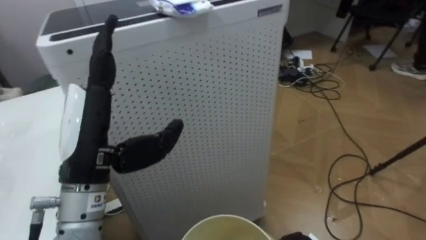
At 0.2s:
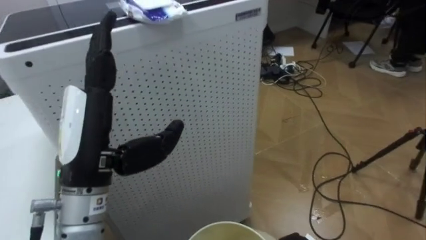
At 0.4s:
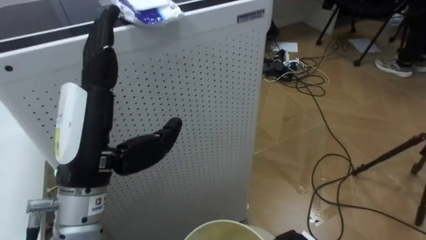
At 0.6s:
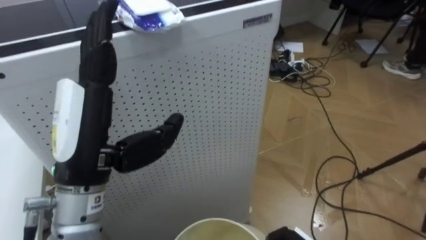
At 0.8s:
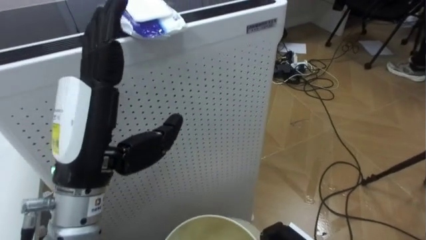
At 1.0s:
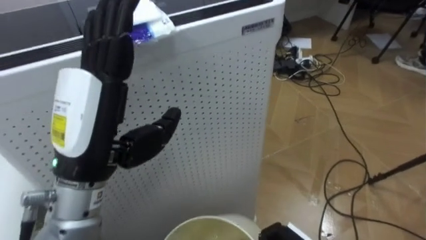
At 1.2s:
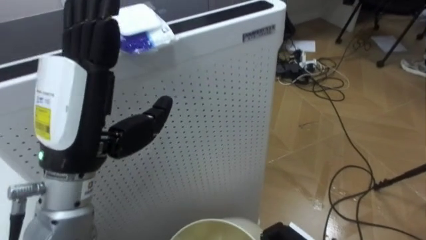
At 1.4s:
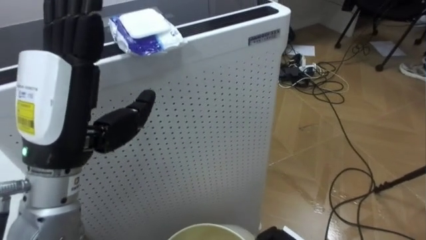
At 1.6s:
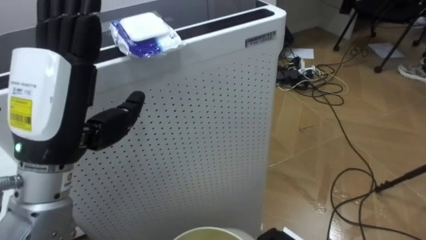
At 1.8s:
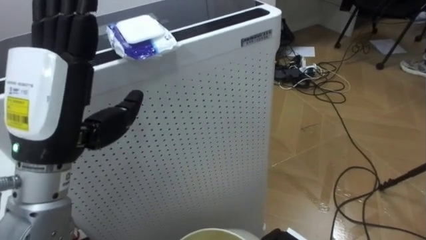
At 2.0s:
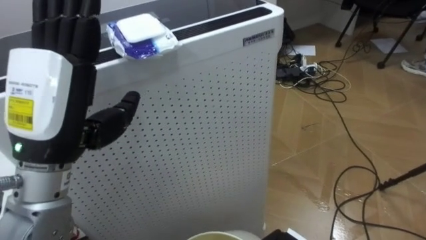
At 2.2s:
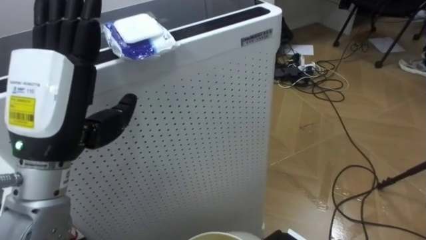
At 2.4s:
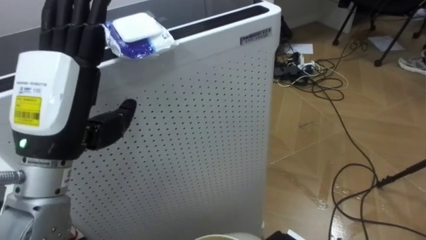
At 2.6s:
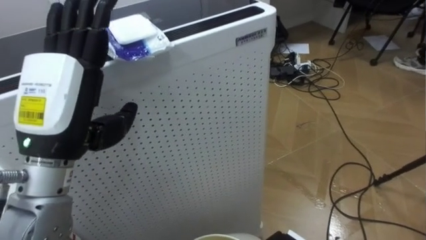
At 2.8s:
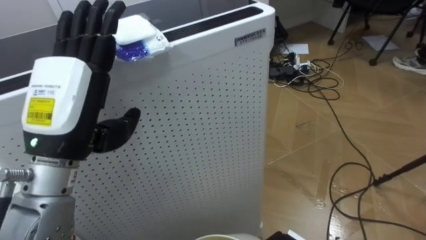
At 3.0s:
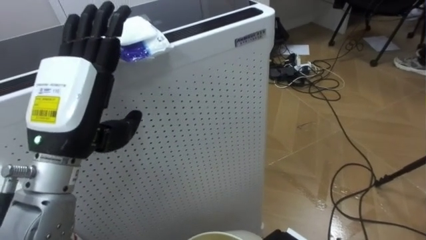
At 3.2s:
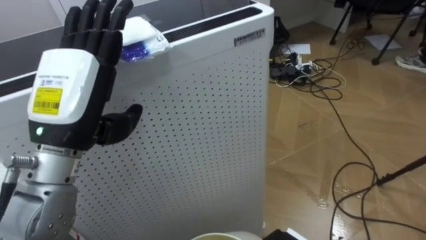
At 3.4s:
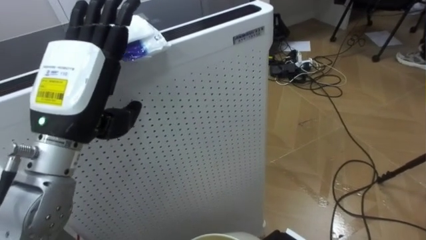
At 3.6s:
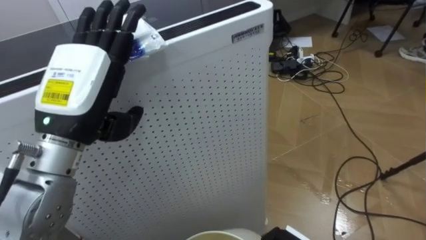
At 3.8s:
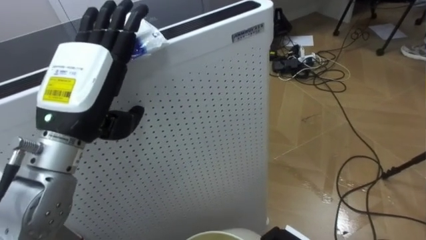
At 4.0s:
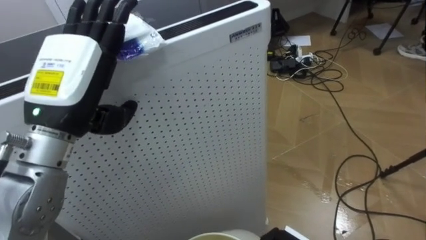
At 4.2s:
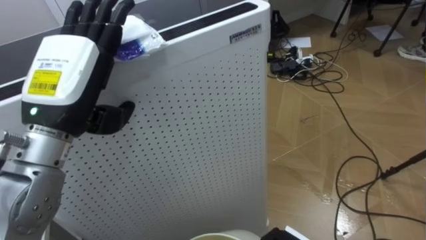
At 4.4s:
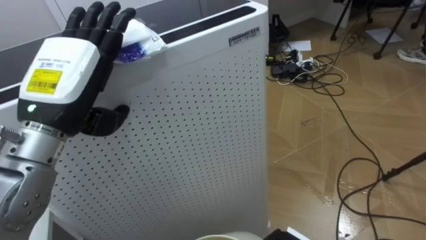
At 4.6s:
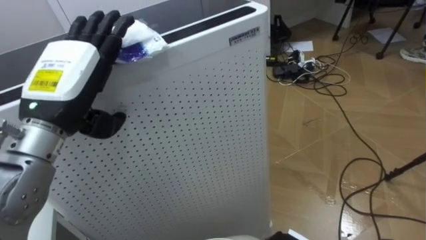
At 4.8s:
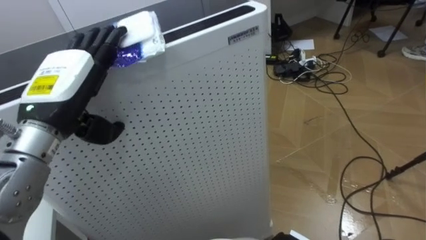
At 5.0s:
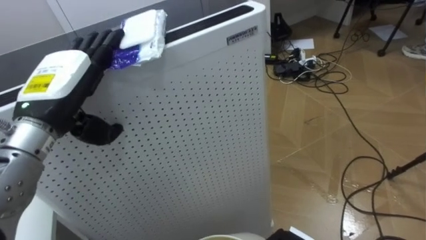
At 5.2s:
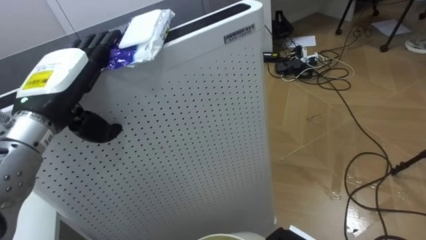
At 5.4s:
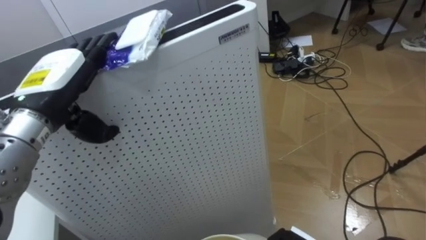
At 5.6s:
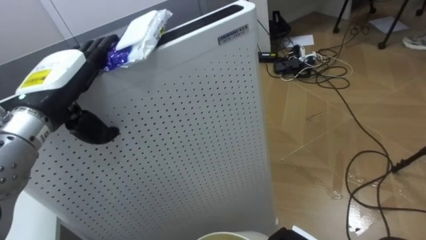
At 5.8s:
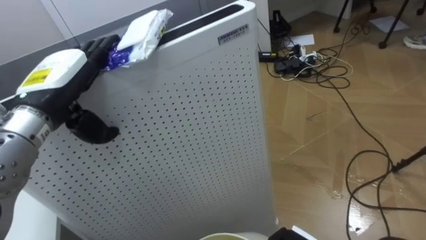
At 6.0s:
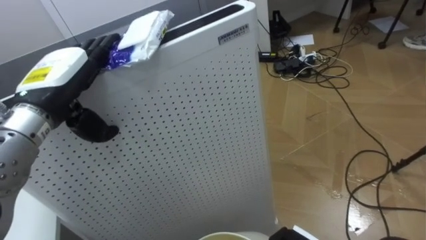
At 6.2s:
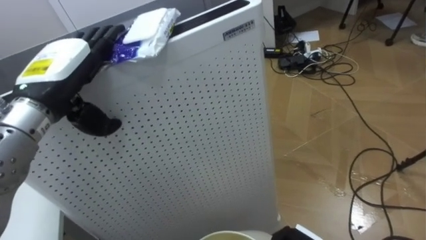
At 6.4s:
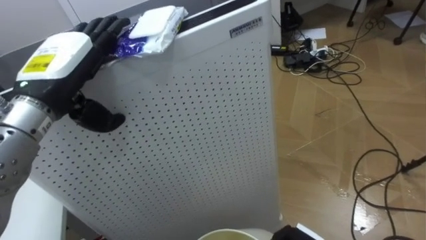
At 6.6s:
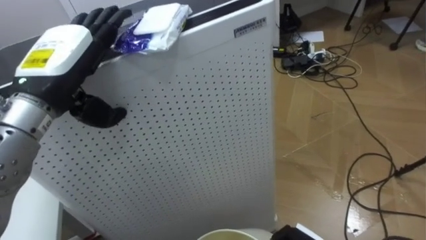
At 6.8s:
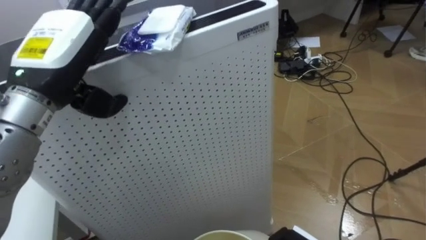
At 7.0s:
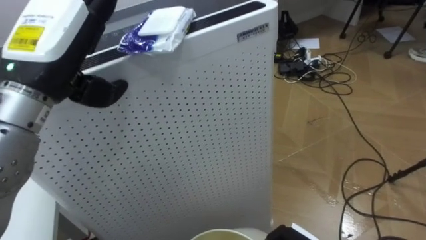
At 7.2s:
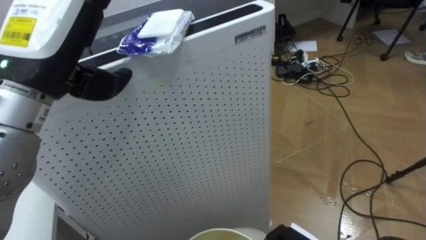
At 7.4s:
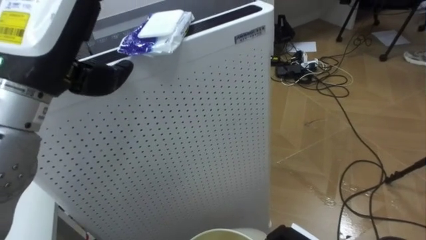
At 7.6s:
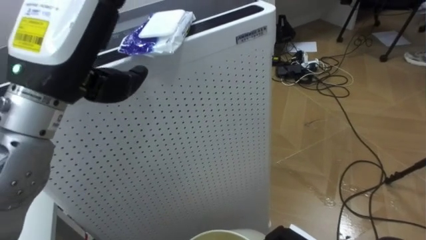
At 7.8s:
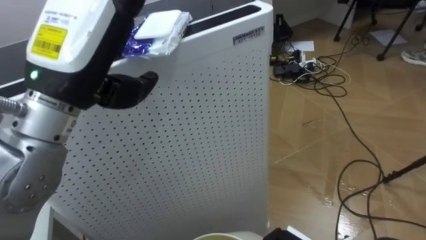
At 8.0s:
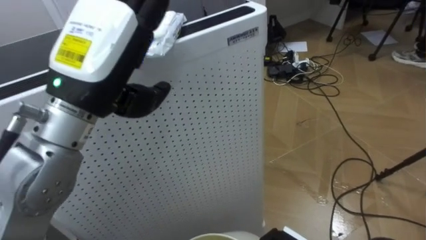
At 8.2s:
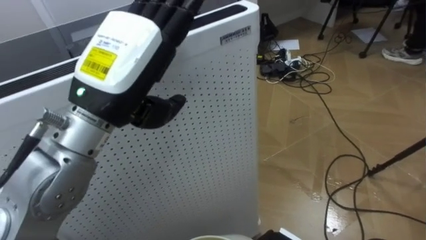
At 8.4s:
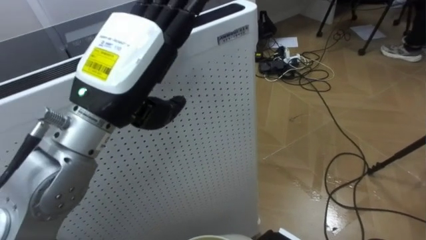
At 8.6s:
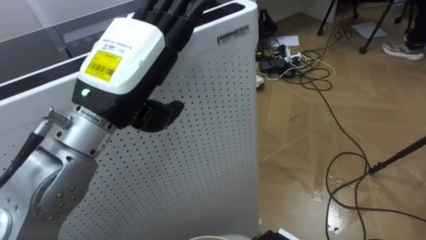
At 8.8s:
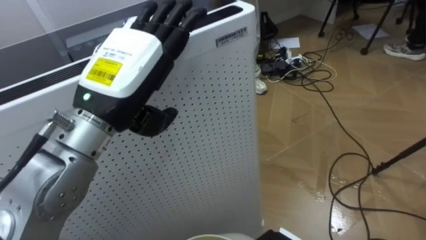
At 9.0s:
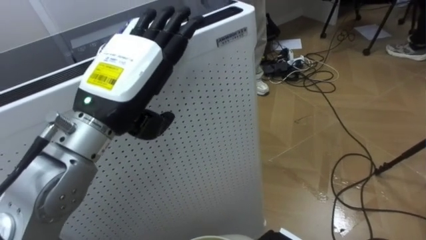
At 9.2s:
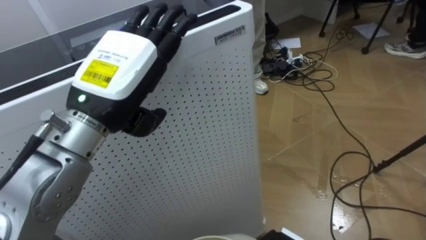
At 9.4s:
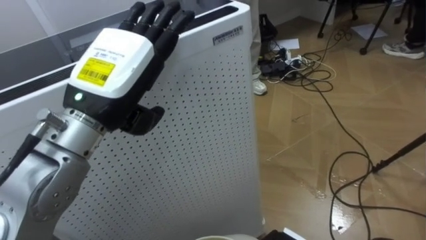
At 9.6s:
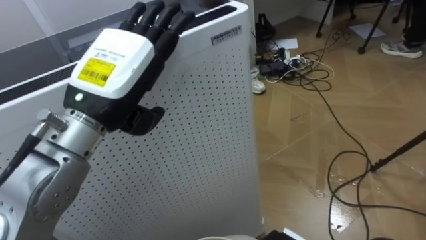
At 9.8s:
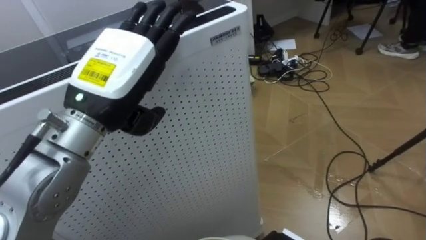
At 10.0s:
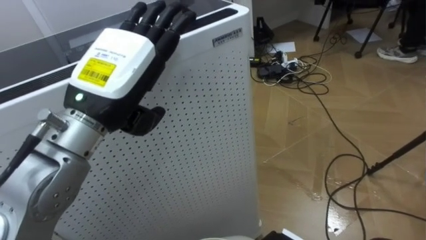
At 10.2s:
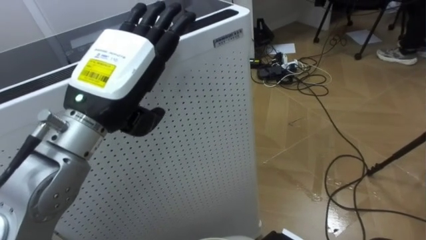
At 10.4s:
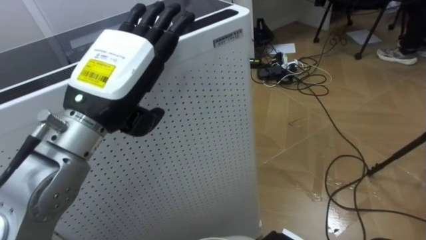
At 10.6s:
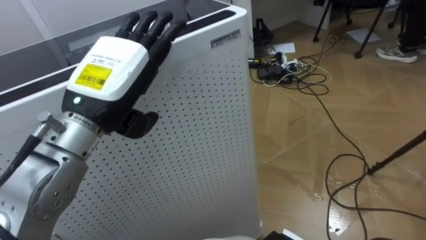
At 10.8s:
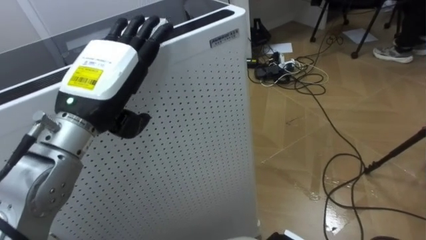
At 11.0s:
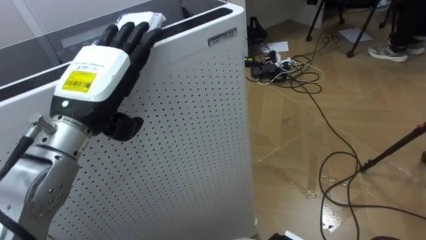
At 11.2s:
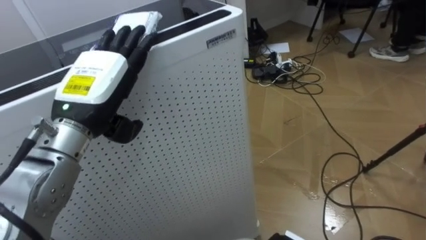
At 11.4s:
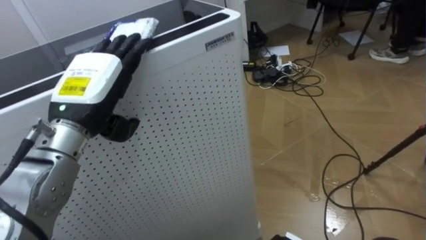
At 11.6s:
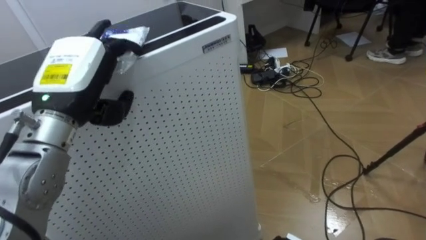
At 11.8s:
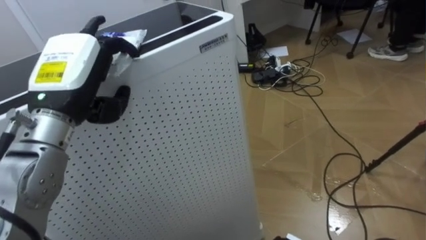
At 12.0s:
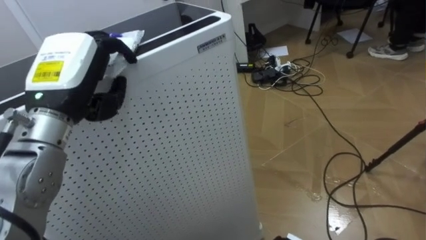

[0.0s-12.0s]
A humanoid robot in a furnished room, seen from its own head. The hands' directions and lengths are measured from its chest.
Task of the whole recording: Pick up the light blue package, the candy box, and the dark blue package separately, and put them into the trash can held in your right hand.
0.0s to 1.6s: The left hand travels upward by approximately 5 cm.
4.4s to 6.0s: The left hand shifts by some 5 cm.
6.0s to 7.6s: The left hand heads upward, to the right and backward, covering about 15 cm.
7.6s to 9.0s: The left hand moves downward, some 5 cm.
10.4s to 12.0s: The left hand is displaced to the left by about 5 cm, and closes.

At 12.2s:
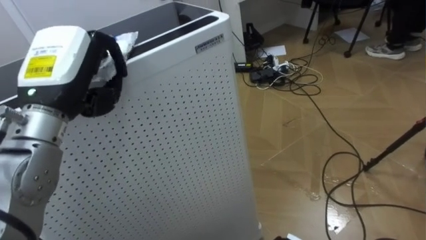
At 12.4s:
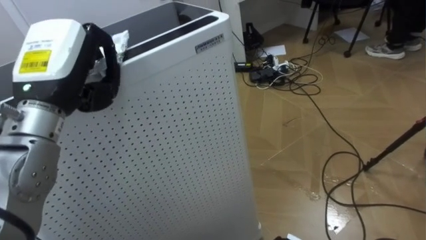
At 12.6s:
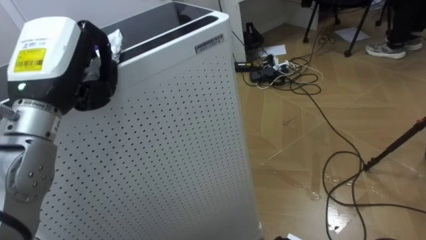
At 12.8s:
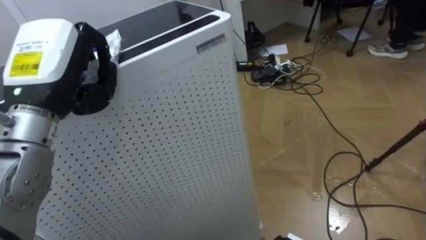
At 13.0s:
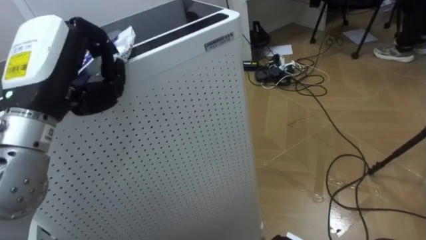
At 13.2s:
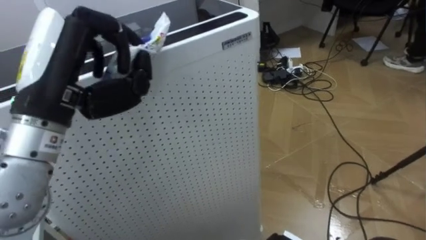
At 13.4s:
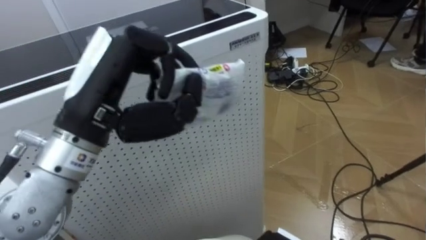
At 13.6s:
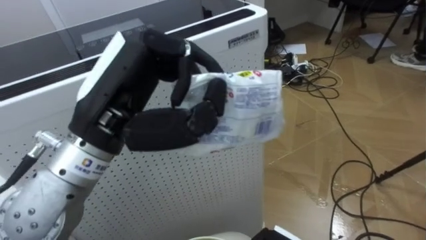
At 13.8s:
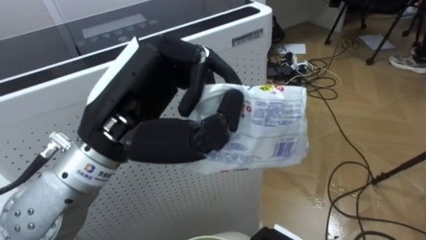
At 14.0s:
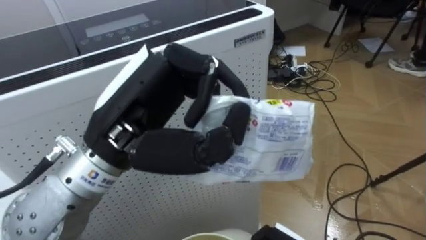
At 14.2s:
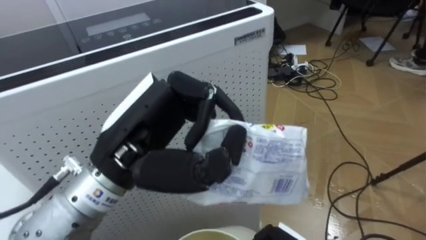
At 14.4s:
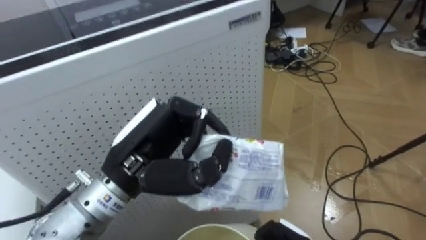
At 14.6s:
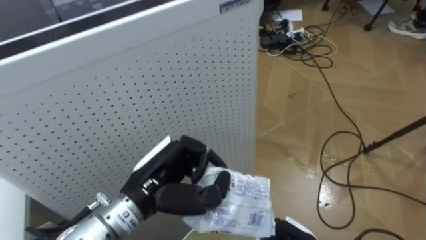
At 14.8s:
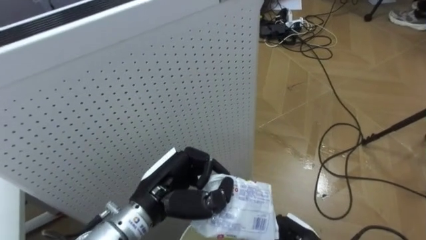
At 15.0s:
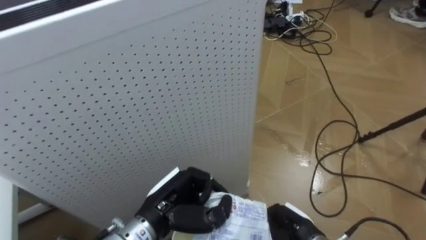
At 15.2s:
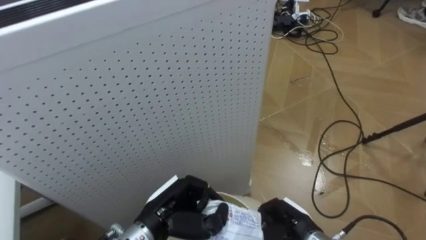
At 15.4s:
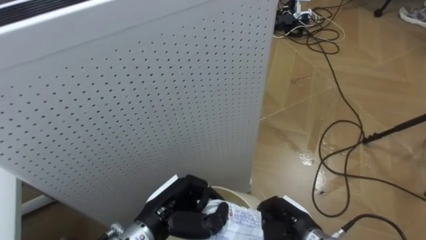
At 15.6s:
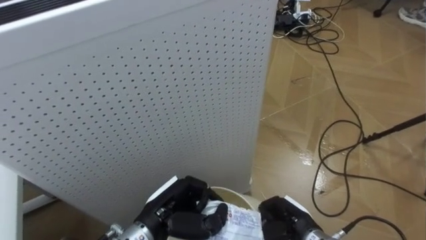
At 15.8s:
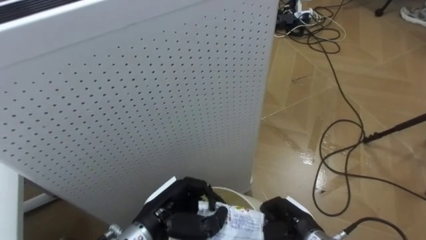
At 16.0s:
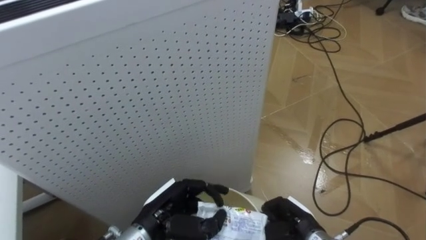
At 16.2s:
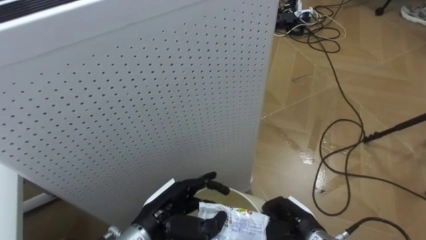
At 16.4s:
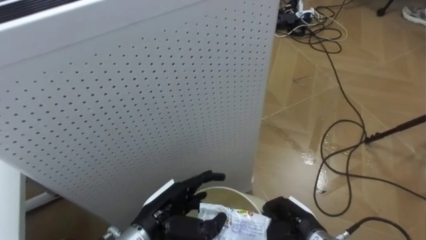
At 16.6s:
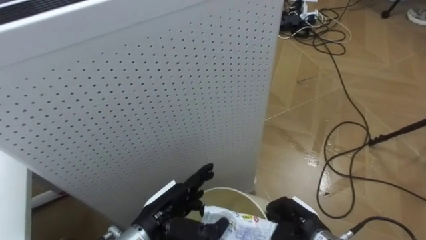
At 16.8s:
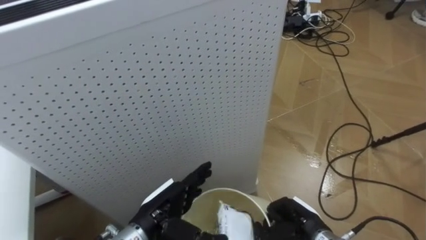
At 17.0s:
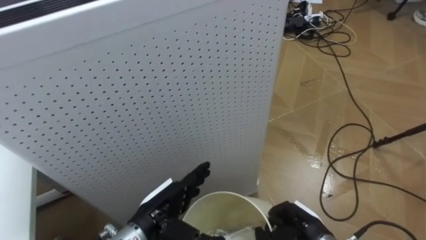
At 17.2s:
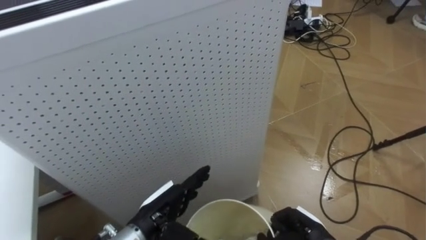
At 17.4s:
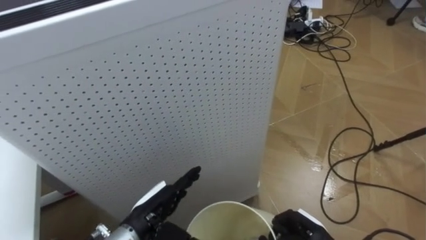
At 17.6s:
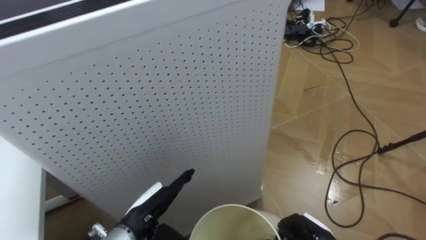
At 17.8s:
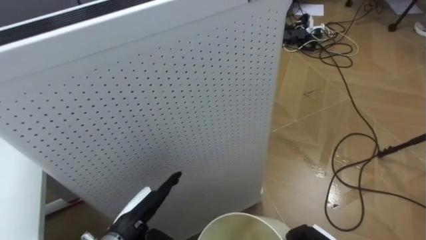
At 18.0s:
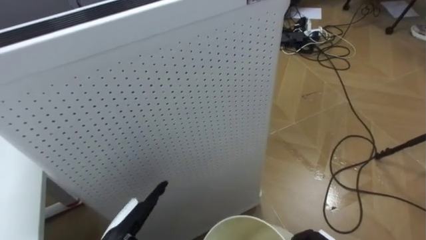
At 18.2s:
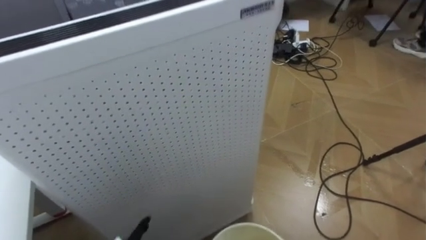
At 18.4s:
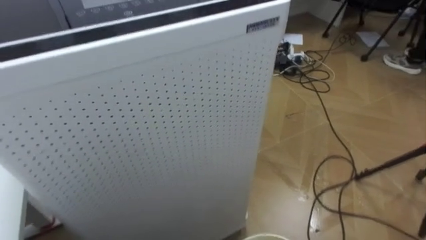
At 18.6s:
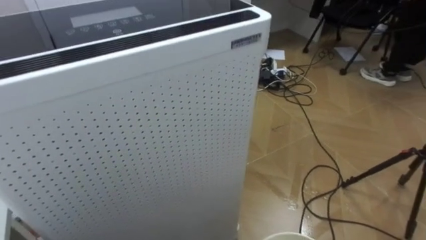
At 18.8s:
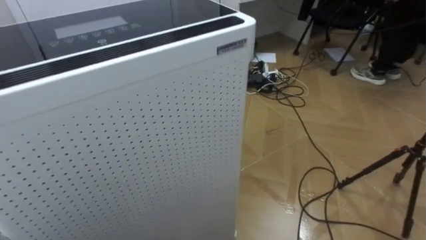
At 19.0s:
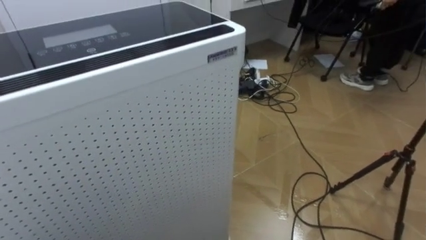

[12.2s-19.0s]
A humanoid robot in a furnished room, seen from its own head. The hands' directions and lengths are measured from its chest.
Task of the whole recording: Pick up the light blue package, the candy box, and the dark blue package separately, and put them into the trash can held in your right hand.
12.2s to 13.6s: The left hand travels to the right and backward by about 10 cm.
13.6s to 15.0s: The left hand travels downward by roughly 25 cm.
15.0s to 16.2s: The left hand opens.
